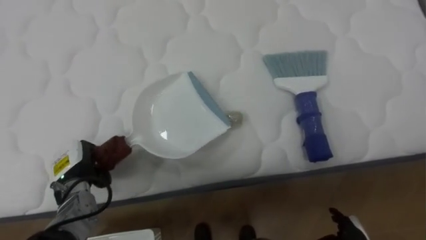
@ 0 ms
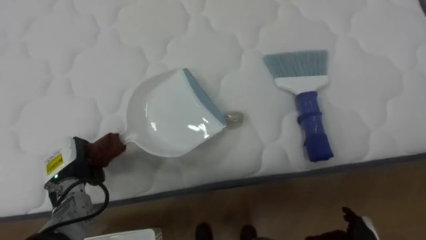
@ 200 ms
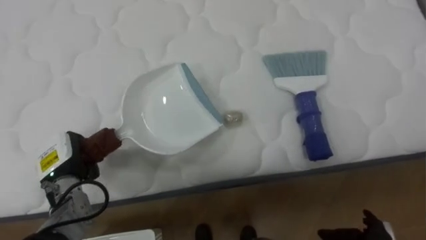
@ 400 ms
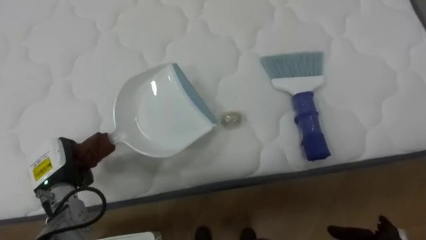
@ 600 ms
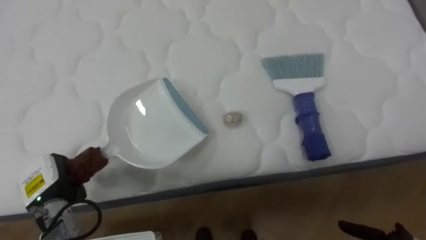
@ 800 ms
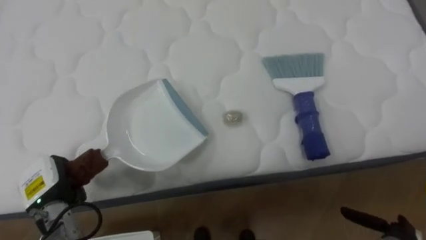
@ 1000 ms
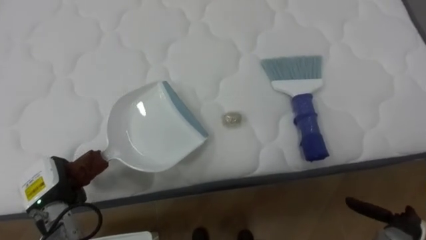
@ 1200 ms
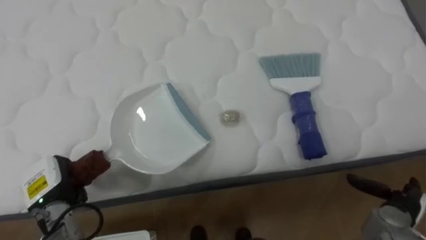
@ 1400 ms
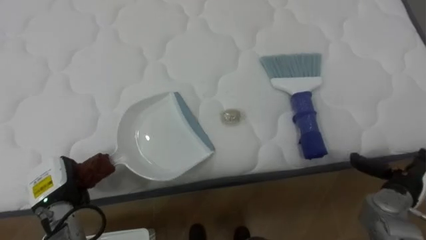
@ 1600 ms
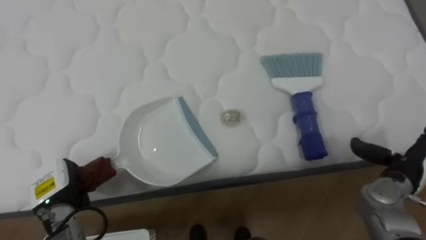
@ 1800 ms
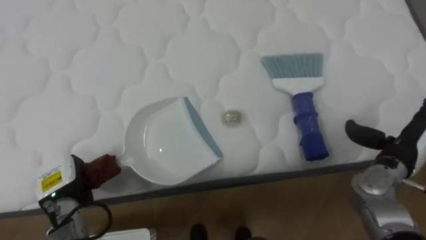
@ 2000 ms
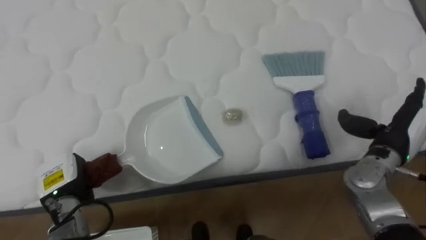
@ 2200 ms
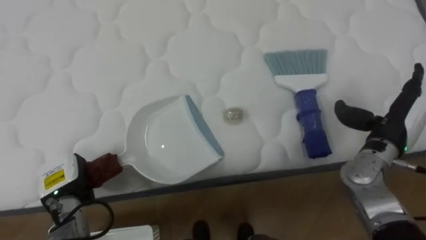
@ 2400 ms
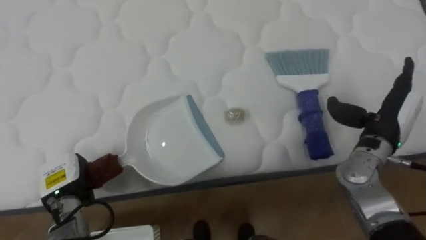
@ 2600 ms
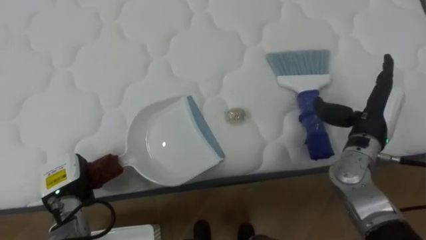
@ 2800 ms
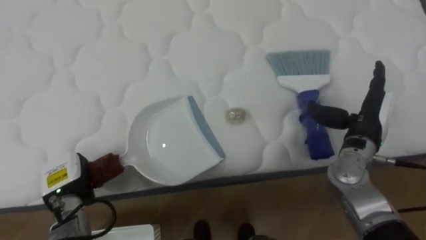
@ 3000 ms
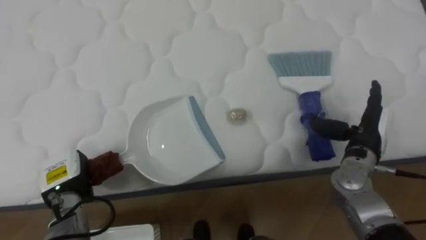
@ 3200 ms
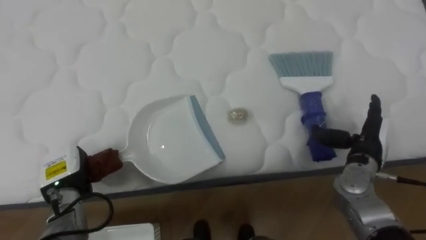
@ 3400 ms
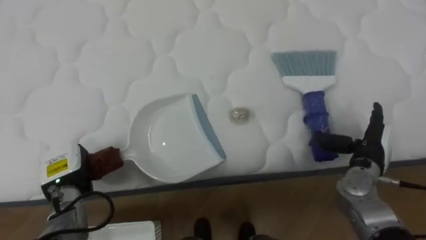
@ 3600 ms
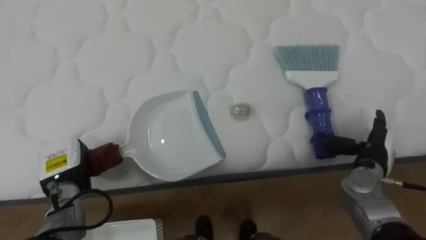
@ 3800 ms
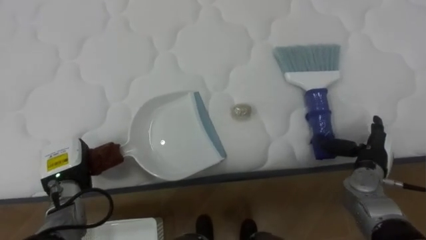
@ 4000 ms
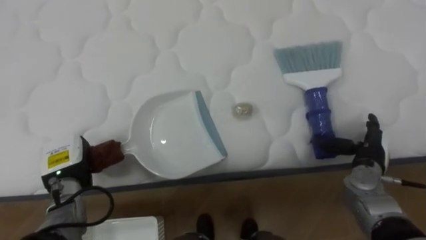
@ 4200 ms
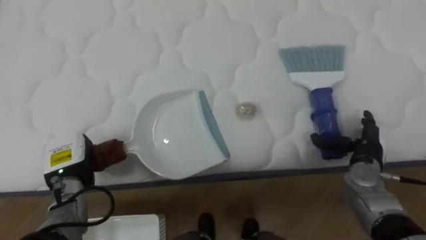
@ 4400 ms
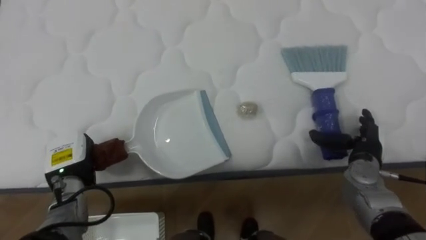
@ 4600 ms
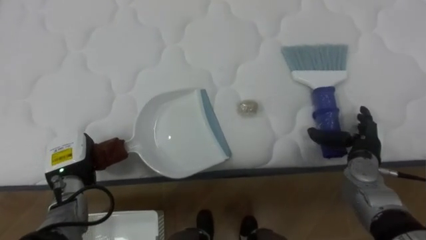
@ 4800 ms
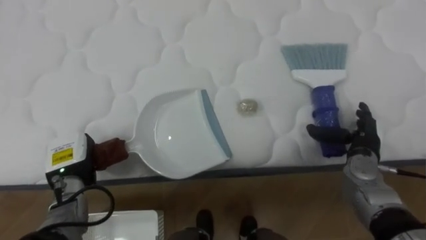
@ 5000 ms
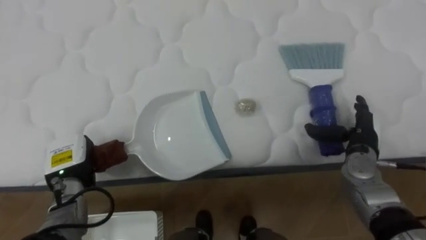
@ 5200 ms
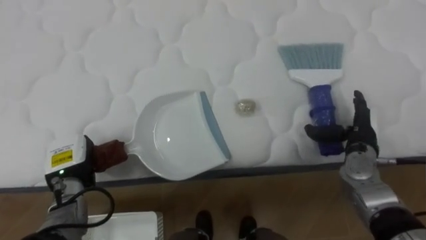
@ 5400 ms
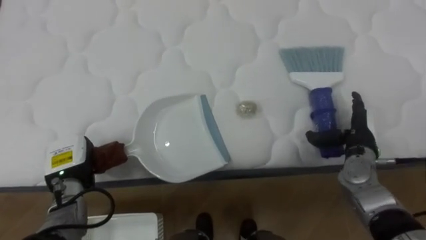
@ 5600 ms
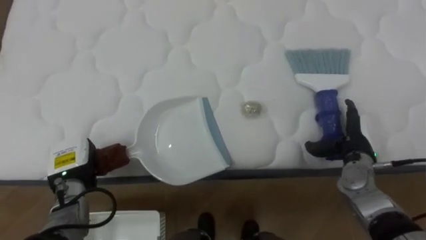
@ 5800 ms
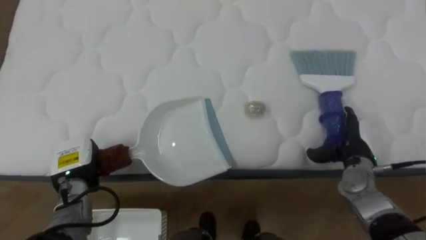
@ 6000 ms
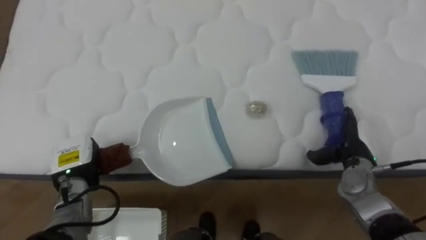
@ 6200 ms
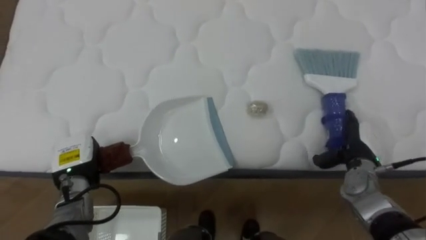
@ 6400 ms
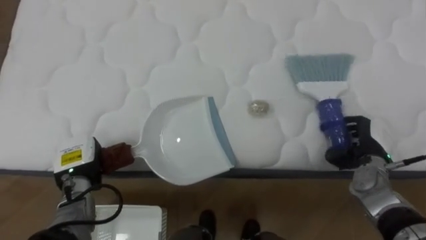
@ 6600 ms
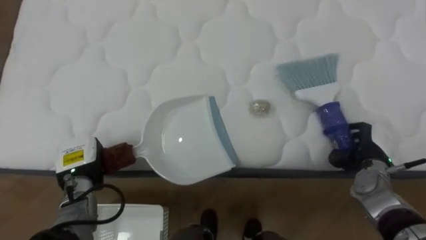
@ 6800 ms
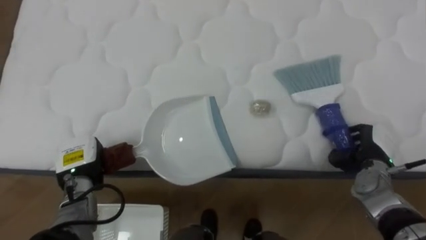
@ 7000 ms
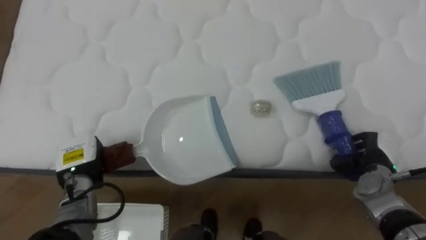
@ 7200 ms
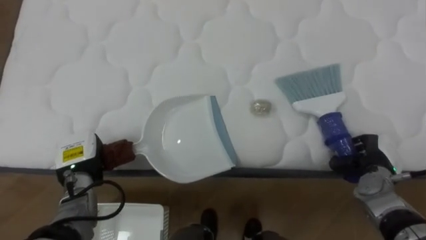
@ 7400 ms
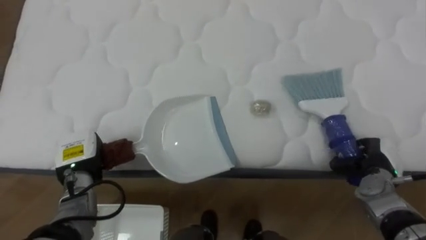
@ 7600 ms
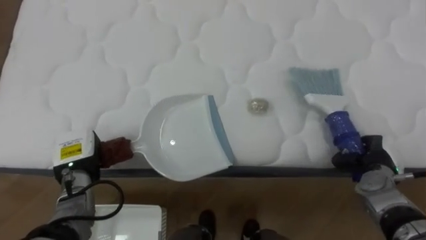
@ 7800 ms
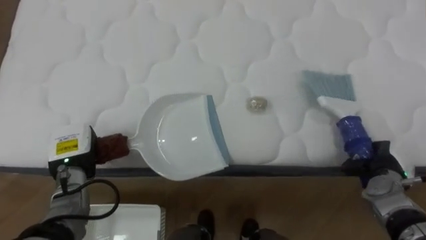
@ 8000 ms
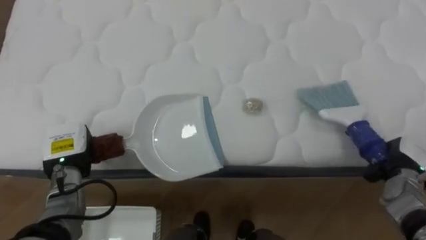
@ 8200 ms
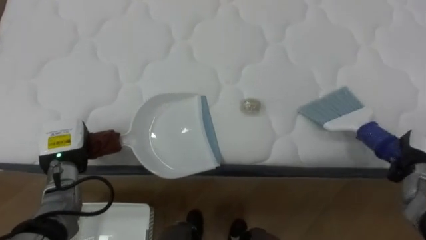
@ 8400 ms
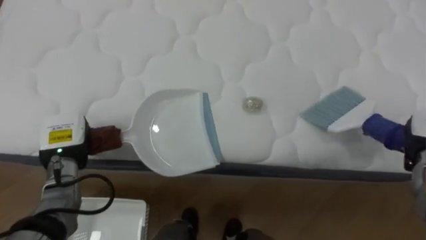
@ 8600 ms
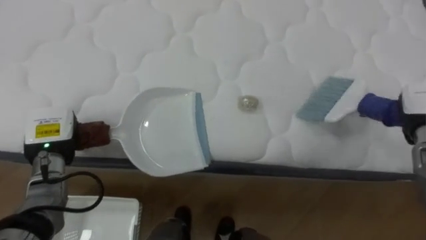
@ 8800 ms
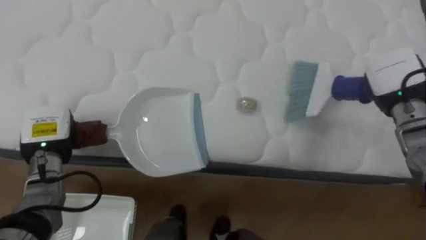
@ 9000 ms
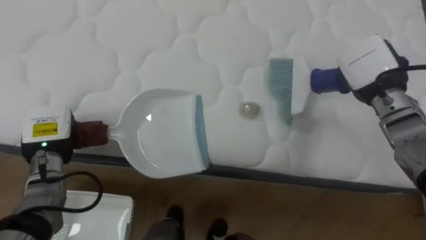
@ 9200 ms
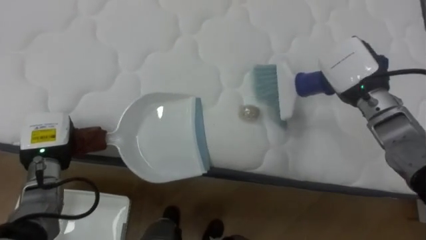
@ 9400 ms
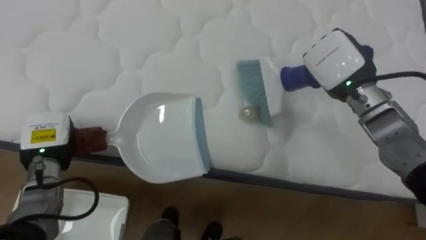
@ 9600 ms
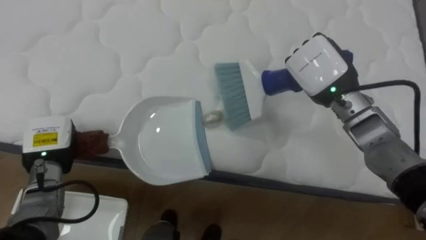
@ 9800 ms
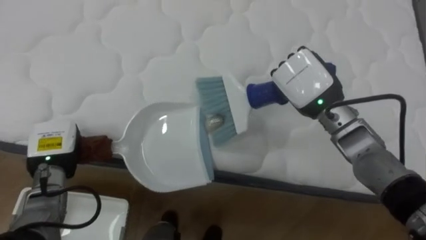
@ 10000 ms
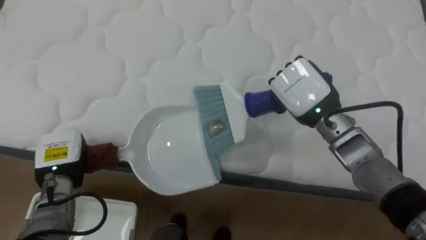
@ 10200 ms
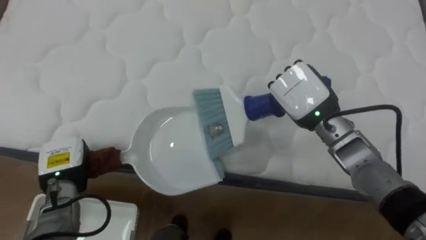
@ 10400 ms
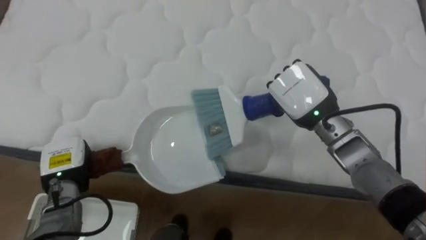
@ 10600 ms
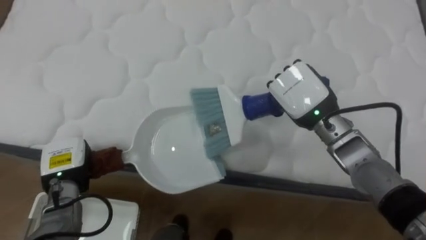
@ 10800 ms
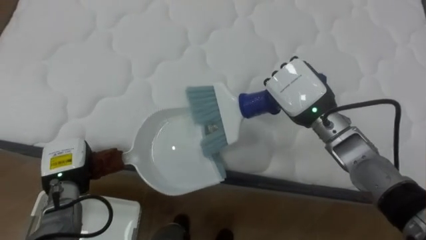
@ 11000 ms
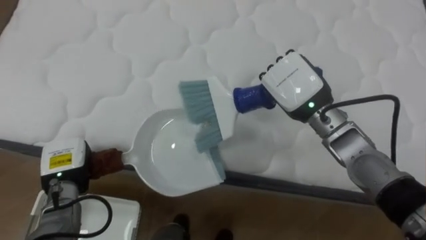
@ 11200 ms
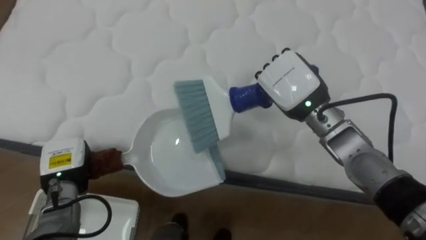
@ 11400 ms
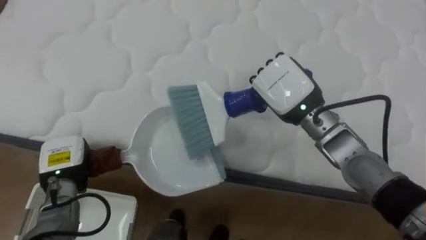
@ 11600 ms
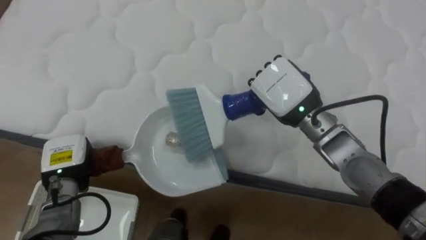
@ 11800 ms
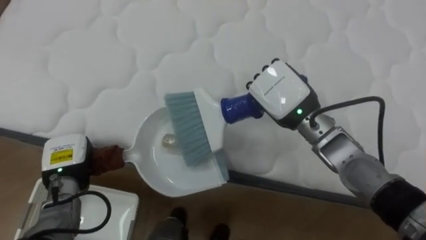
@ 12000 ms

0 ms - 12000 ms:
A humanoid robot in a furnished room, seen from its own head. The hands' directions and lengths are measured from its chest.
Task of the whole recording: Pick up the brush on your right and the dustpan on your left. Use the brush to sweep the crumpled paper on the bed into the dustpan, then turn left and empty it into the basket.
0 ms - 1600 ms: The left hand shifts by approximately 5 cm.
1600 ms - 3000 ms: The right hand travels upward, to the left and forward by about 15 cm.
3000 ms - 4400 ms: The right hand moves downward, about 10 cm.
6000 ms - 7600 ms: The right hand changes place by roughly 5 cm, and closes.
7600 ms - 9000 ms: The left hand is displaced upward by roughly 5 cm, while the right hand heads upward and forward, covering approximately 15 cm.
9000 ms - 10400 ms: The left hand travels downward by approximately 5 cm. Meanwhile the right hand shifts roughly 15 cm to the left.

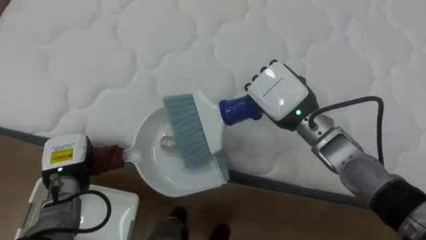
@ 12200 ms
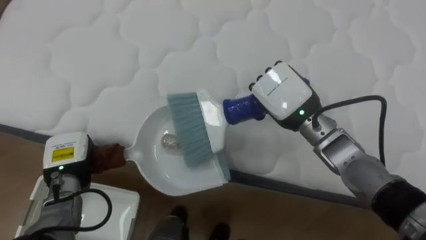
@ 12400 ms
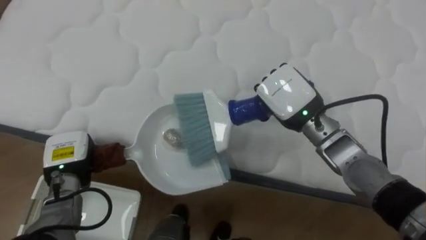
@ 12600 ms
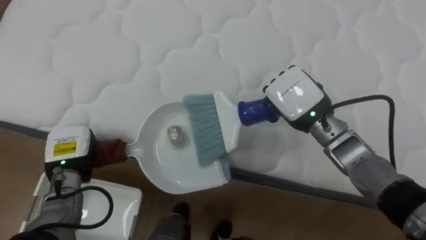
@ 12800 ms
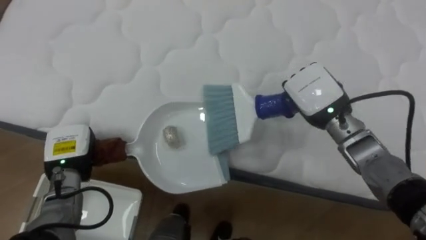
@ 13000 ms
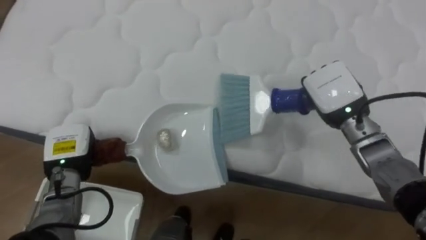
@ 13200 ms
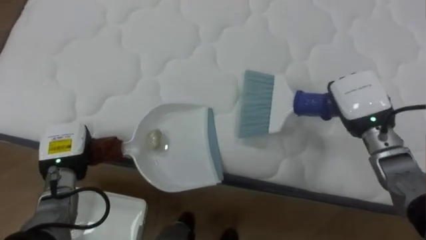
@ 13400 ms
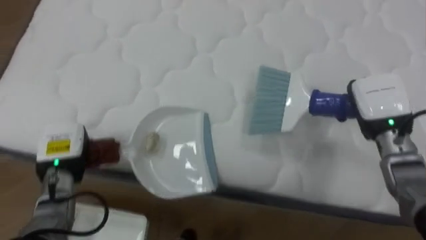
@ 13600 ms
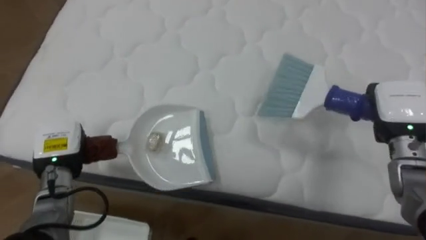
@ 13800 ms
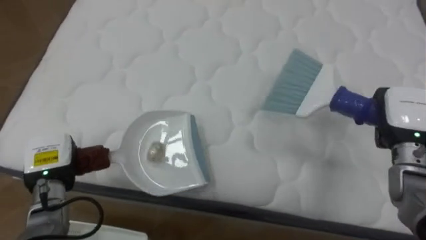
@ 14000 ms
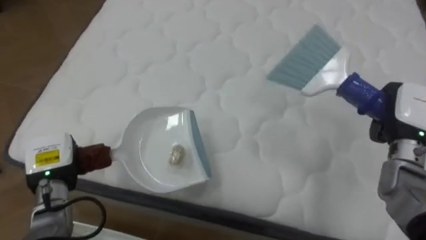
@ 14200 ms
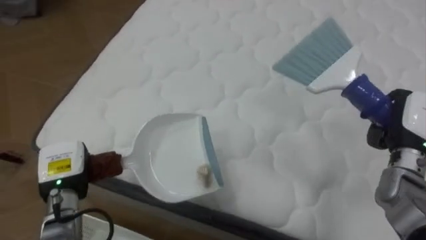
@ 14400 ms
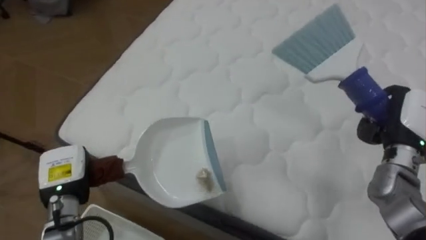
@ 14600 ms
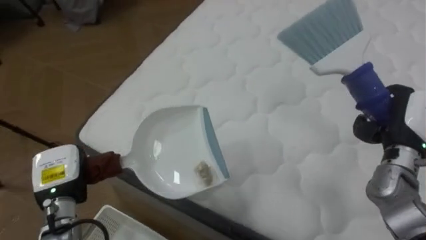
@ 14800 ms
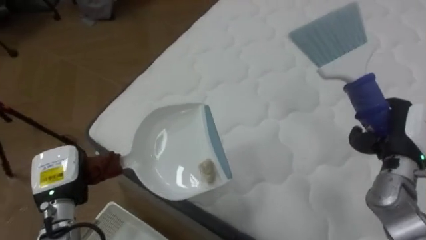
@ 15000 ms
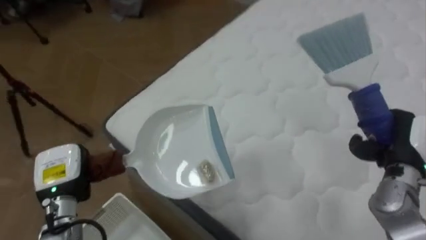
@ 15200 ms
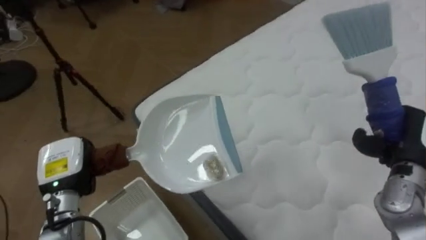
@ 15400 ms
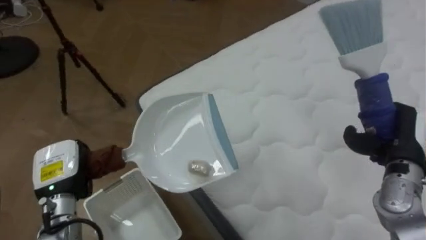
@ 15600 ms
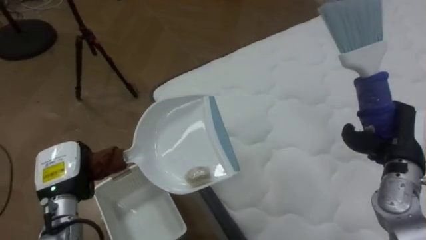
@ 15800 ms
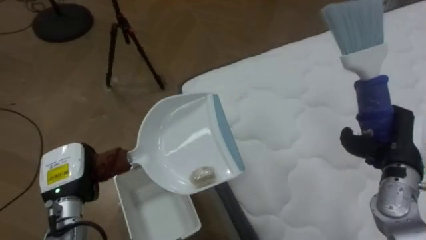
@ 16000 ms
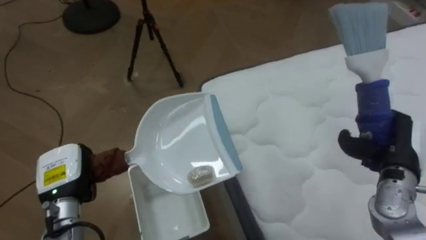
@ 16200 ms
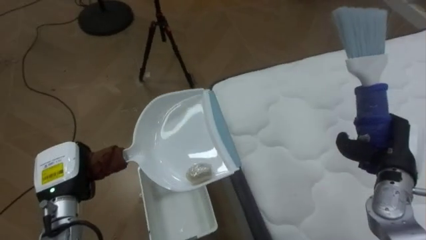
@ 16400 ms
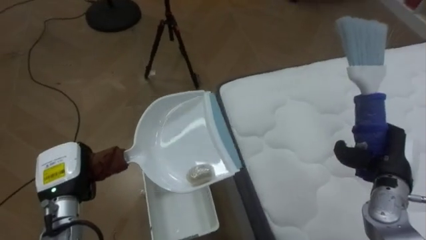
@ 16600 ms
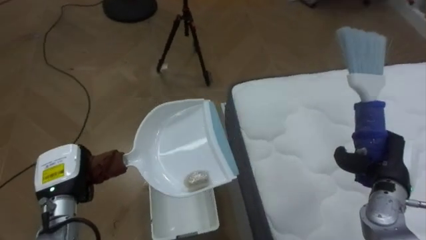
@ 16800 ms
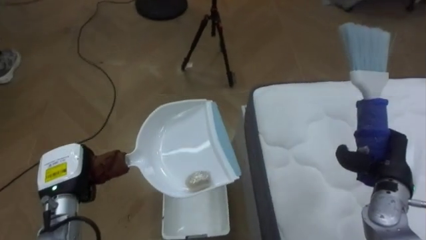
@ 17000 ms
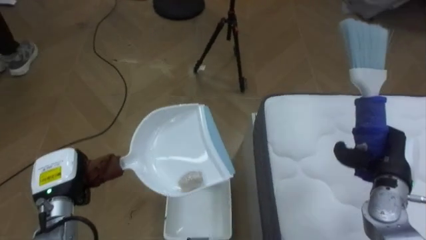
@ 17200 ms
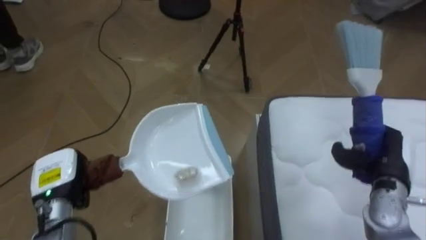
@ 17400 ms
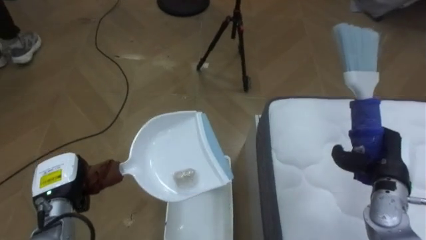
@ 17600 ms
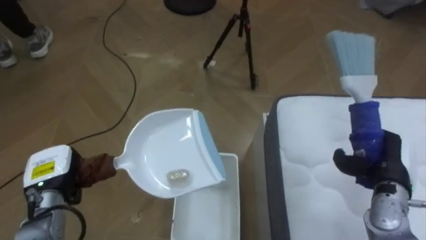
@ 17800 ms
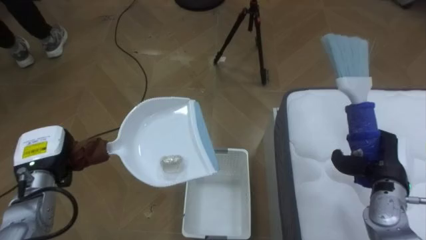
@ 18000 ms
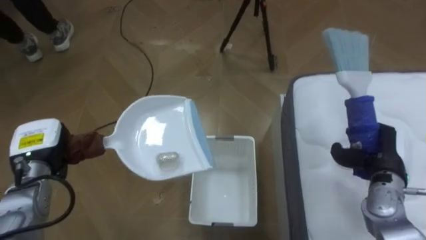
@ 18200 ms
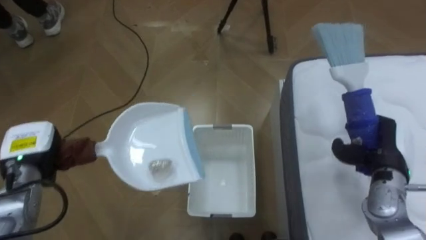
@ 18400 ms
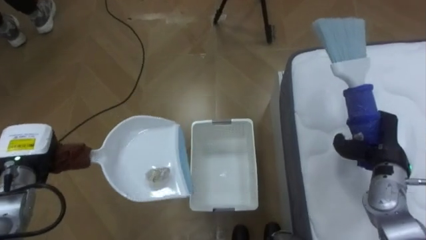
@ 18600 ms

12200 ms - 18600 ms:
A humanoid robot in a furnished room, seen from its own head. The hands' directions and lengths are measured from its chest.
Task of the whole recording: Pick up the brush on your right and the dustpan on your left. Use the brush to sweep the crumpled paper on the bed into the dustpan, then turn left and empty it into the basket.
12200 ms - 13800 ms: The right hand heads to the right, covering about 20 cm.
13800 ms - 15400 ms: The robot's body swings roughly 45 degrees to its left. The right hand travels backward by some 5 cm.
15400 ms - 17000 ms: The robot turns to its left by roughly 35 degrees.
17000 ms - 18600 ms: The left hand is displaced to the left by about 5 cm.
